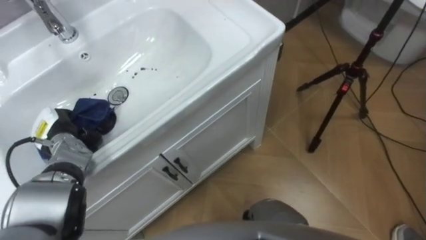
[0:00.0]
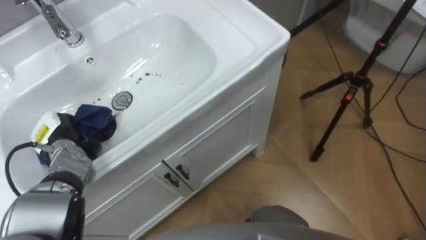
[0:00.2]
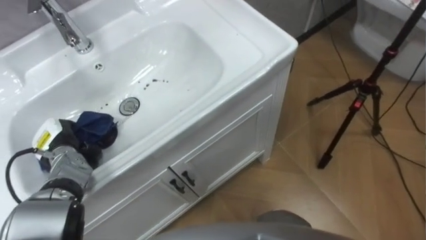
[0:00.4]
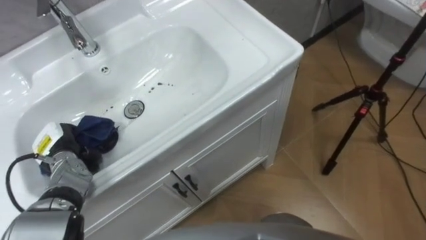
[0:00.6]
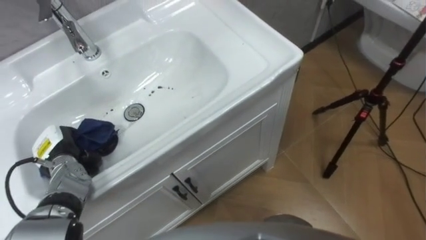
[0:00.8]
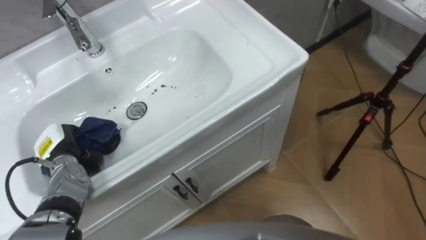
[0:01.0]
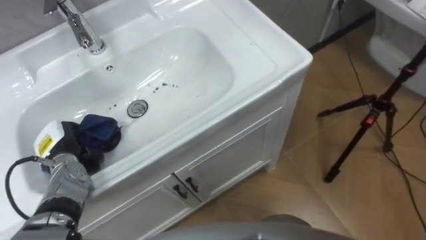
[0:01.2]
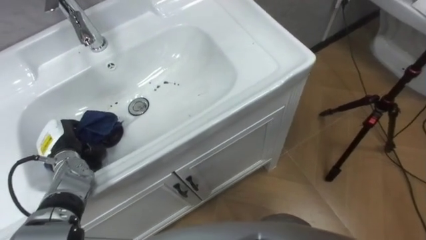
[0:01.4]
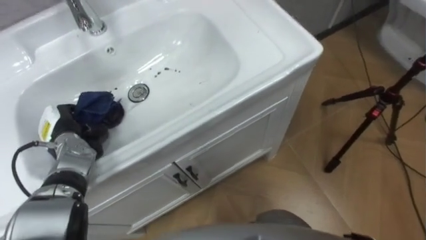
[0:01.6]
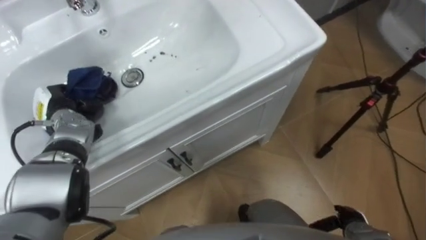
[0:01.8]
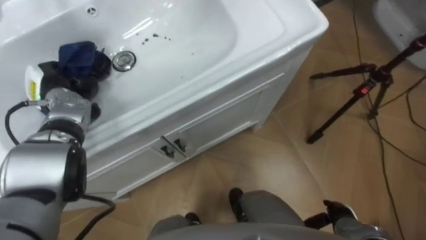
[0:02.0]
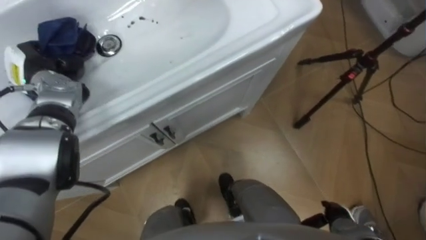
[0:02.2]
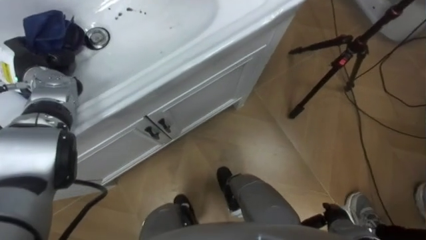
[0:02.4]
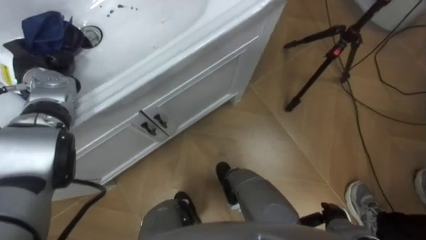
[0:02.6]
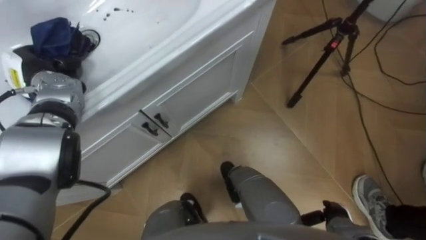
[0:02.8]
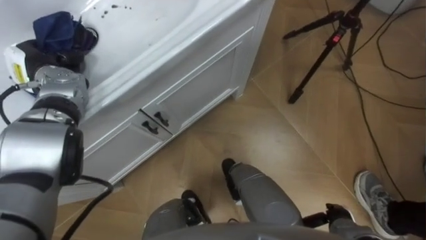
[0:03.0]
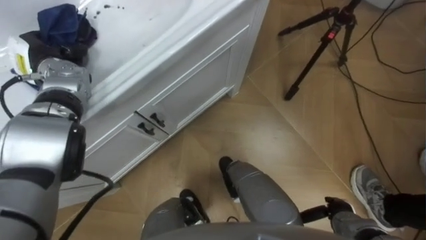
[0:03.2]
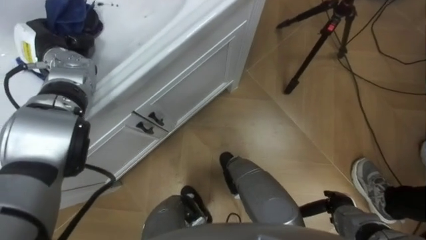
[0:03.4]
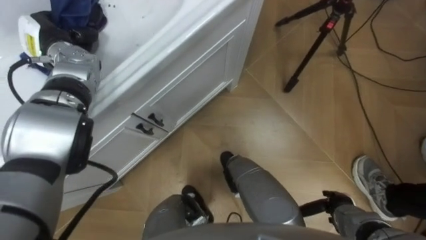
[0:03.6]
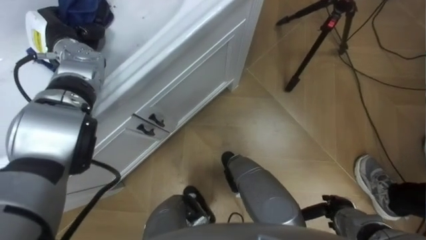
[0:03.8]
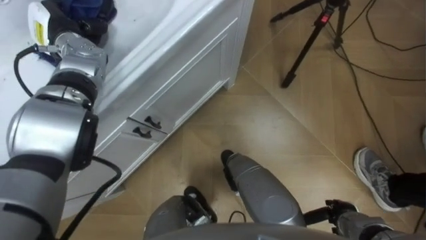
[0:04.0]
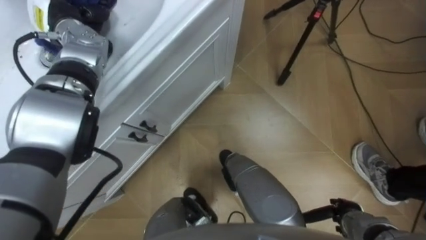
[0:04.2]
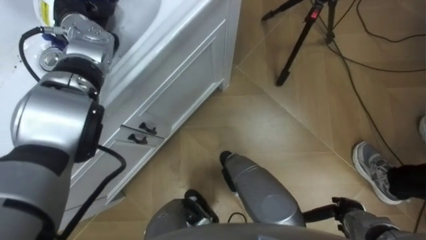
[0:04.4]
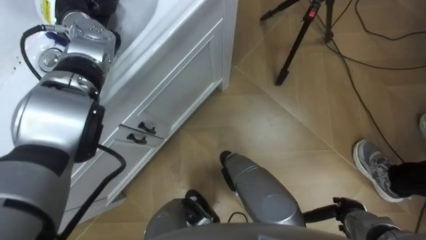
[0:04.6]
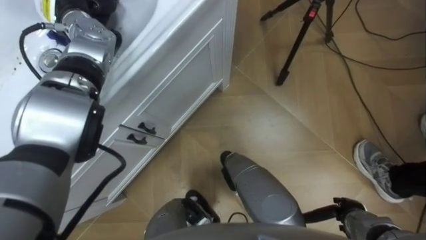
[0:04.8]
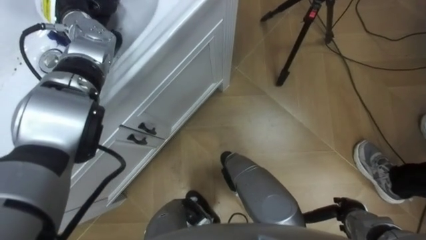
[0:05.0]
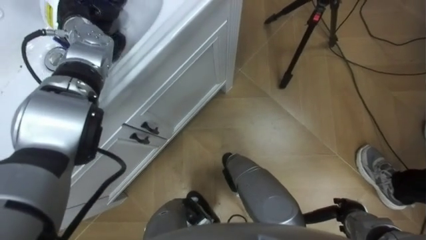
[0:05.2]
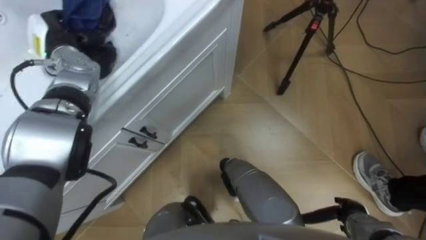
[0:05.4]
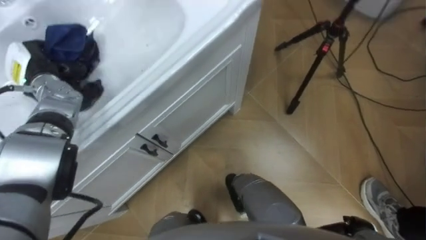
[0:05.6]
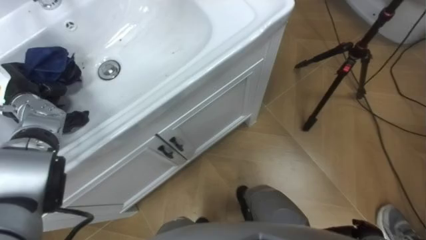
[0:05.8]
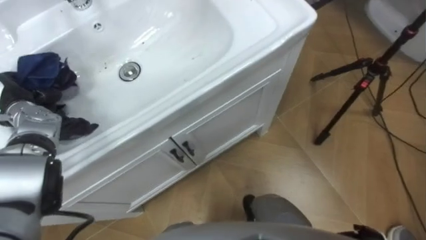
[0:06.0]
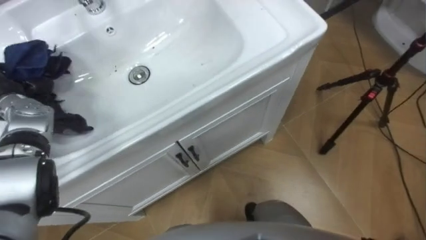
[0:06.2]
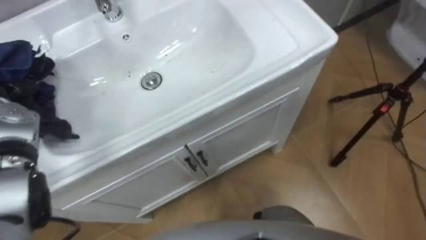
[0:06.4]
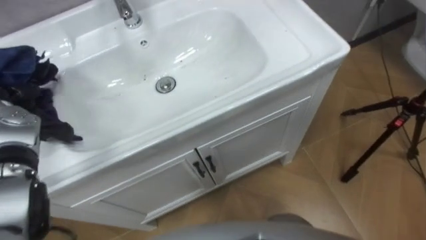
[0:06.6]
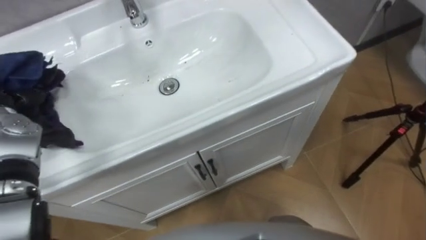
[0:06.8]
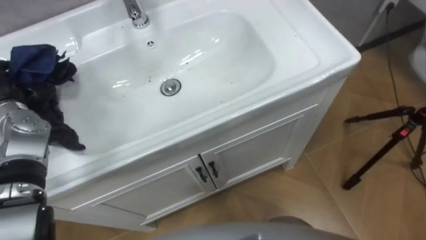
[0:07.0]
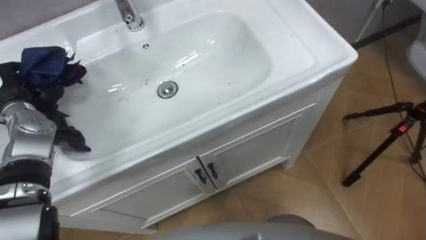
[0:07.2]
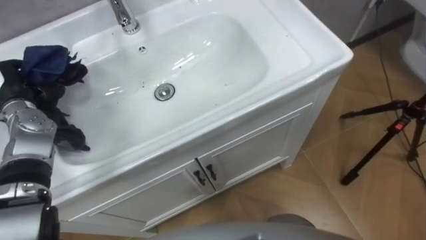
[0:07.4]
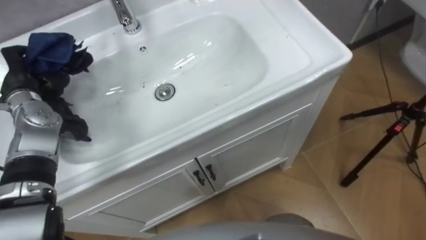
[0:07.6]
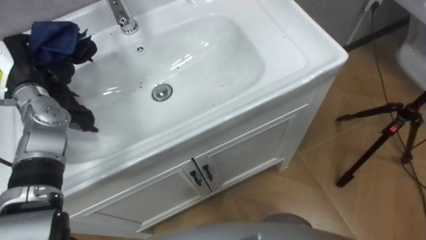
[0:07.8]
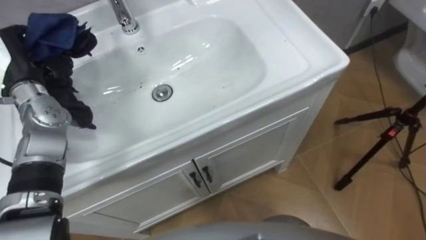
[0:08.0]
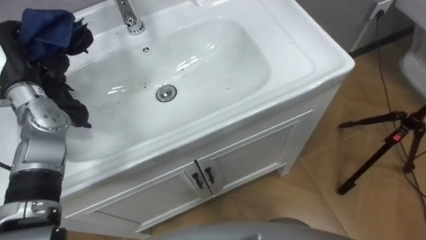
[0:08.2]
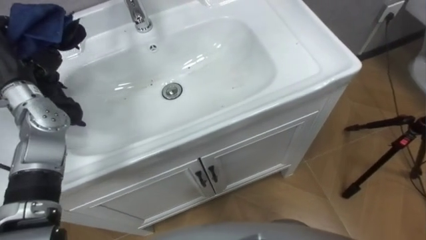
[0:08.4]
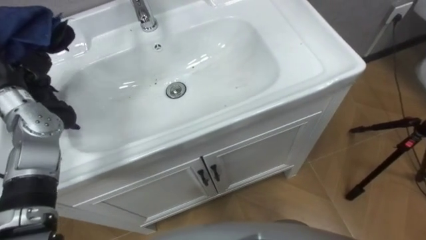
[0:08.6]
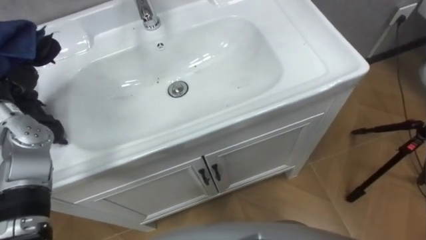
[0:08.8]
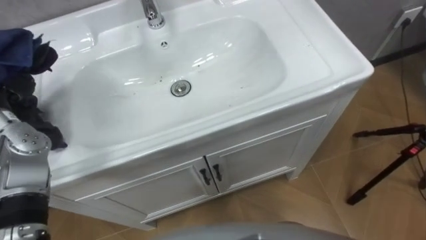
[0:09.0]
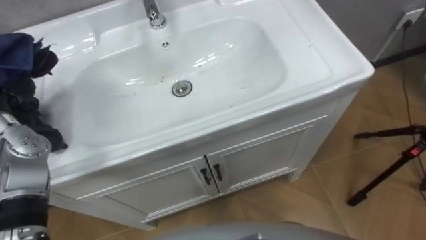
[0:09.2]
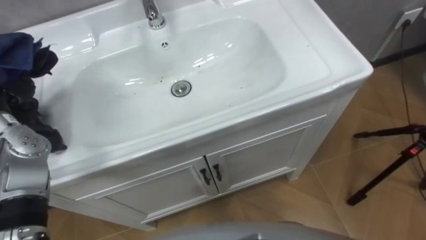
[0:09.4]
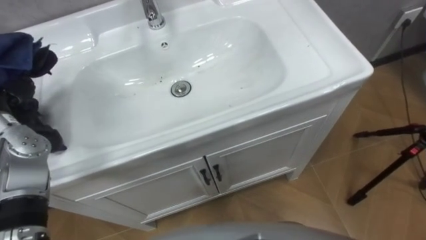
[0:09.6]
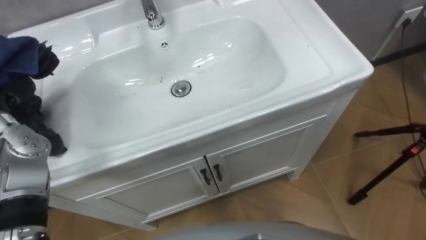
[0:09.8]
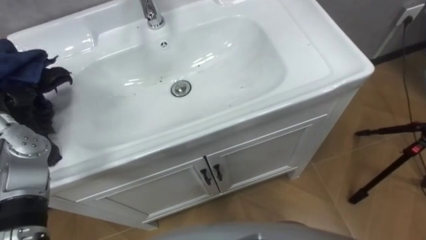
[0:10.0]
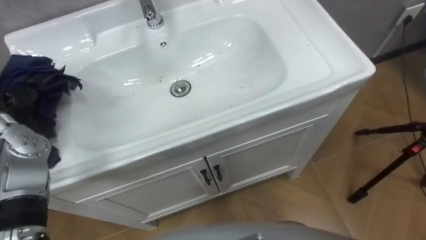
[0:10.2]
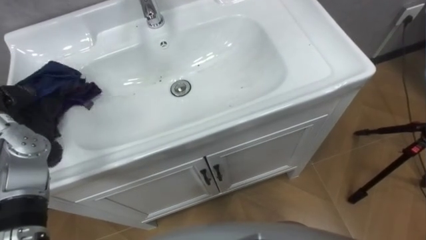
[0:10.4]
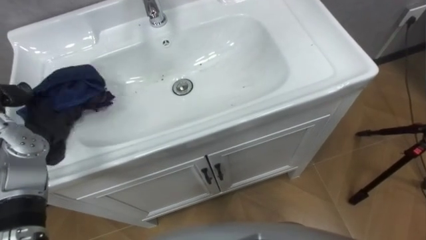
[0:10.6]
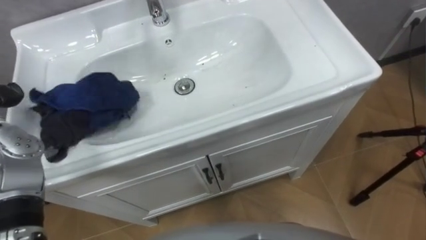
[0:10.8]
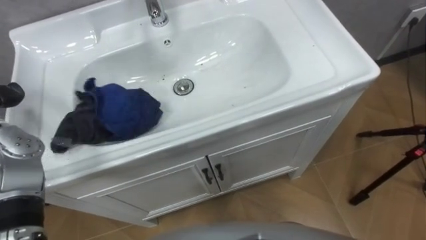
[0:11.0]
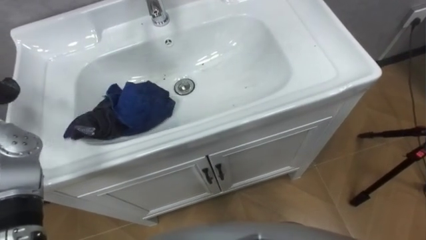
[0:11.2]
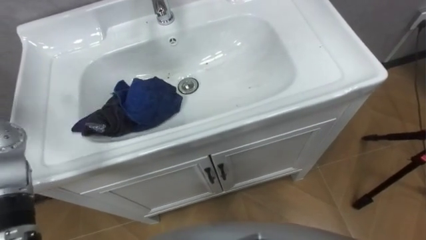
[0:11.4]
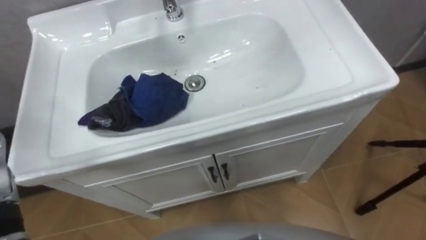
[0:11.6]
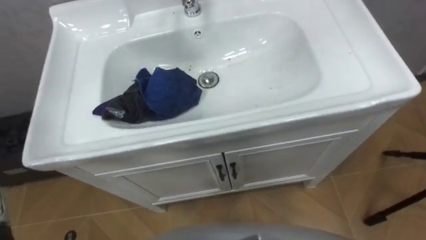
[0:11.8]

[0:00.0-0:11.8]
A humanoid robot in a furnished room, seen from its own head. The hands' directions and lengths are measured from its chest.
Task of the whole recording: Use the cloth on the right to wipe away the black stain in the sink.
0:01.4 to 0:03.0: The left hand is displaced forward and upward by about 15 cm.
0:03.0 to 0:04.4: The left hand moves to the right, upward and forward, approximately 15 cm.
0:04.4 to 0:06.0: The left hand heads backward, to the left and downward, covering approximately 20 cm.

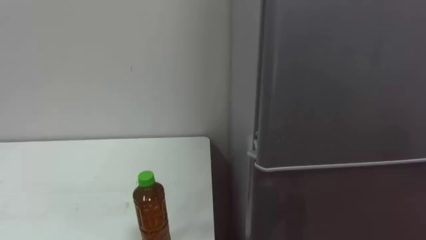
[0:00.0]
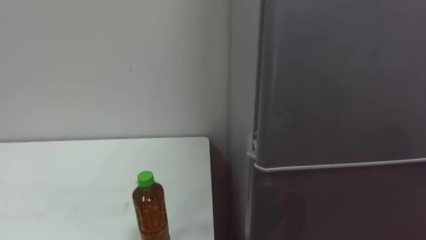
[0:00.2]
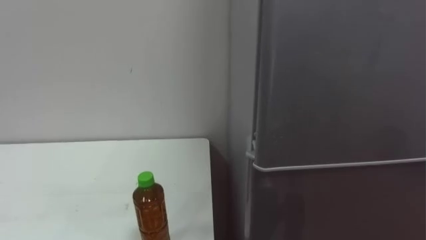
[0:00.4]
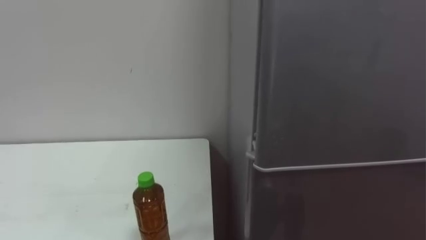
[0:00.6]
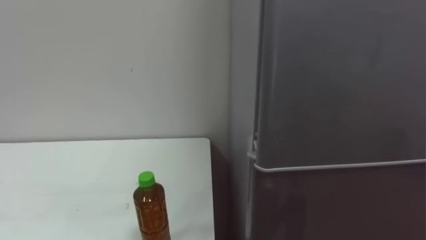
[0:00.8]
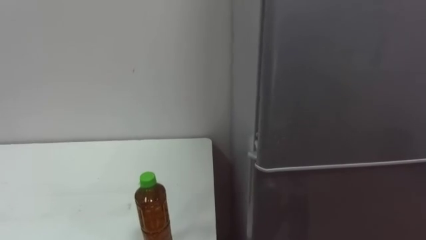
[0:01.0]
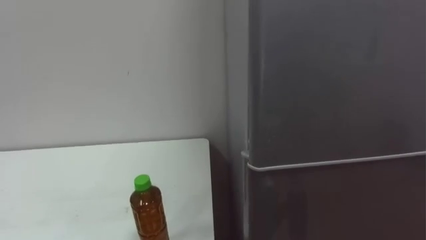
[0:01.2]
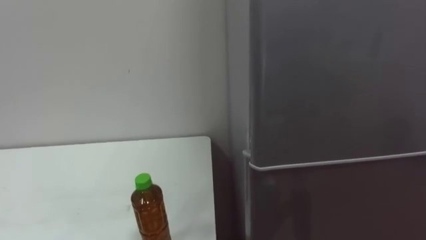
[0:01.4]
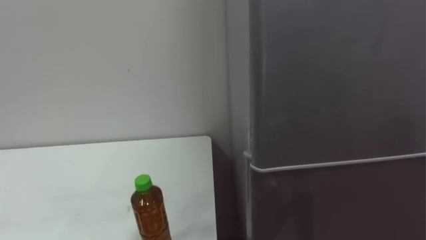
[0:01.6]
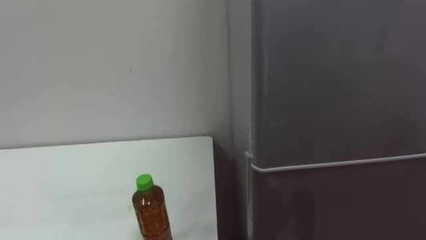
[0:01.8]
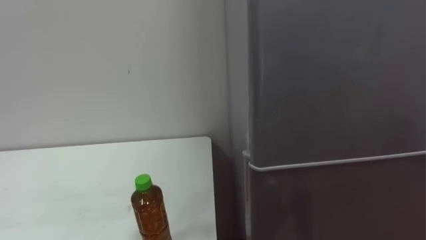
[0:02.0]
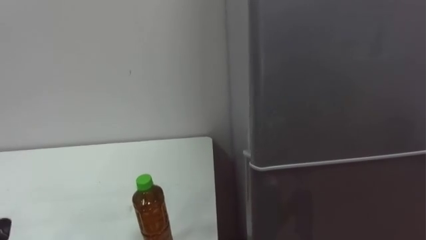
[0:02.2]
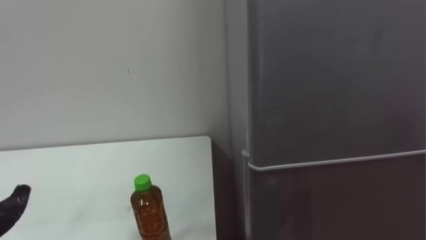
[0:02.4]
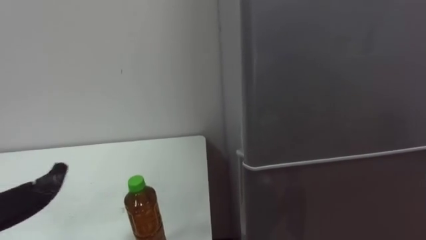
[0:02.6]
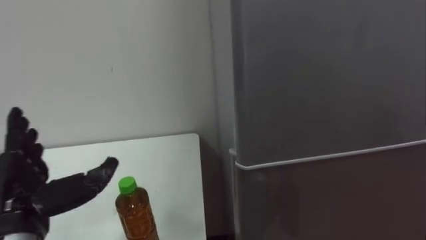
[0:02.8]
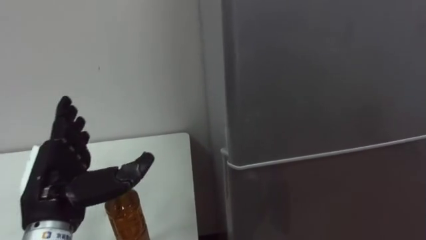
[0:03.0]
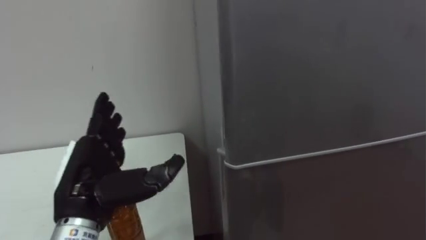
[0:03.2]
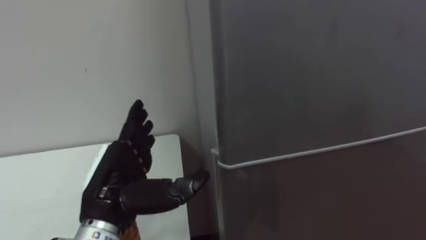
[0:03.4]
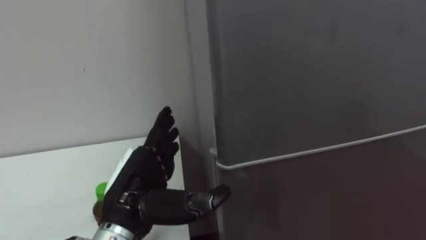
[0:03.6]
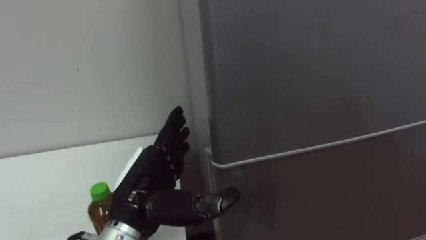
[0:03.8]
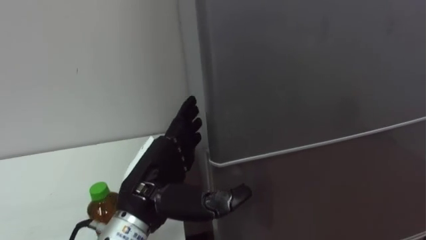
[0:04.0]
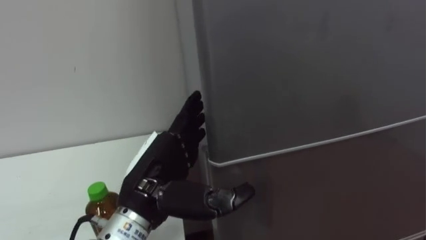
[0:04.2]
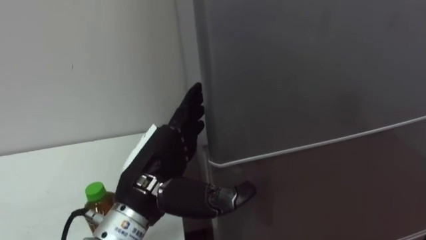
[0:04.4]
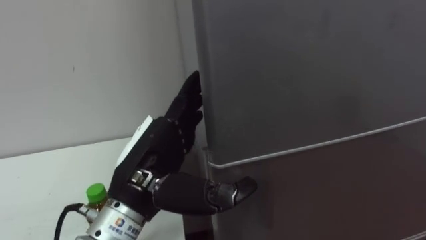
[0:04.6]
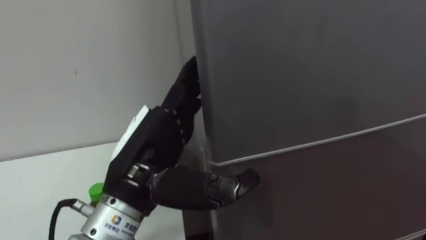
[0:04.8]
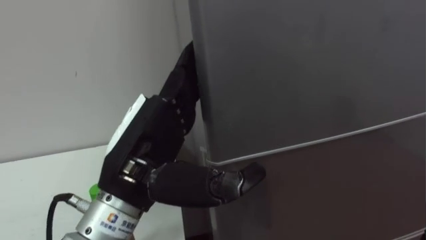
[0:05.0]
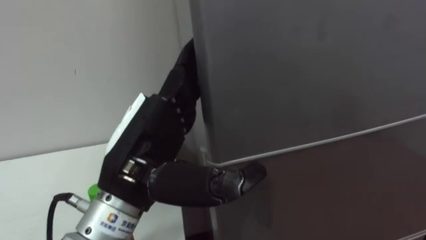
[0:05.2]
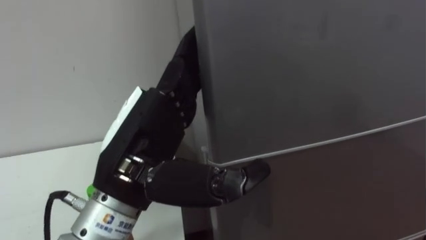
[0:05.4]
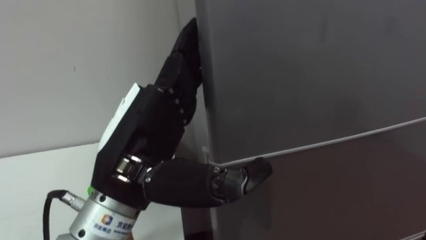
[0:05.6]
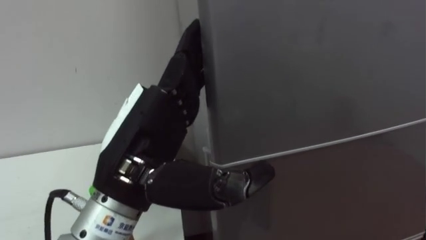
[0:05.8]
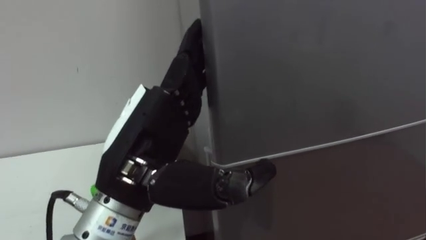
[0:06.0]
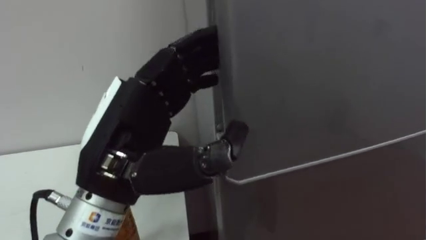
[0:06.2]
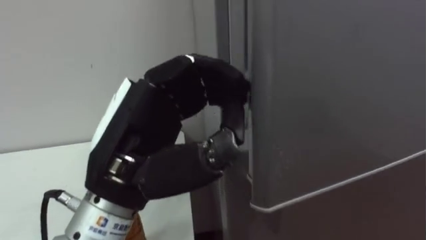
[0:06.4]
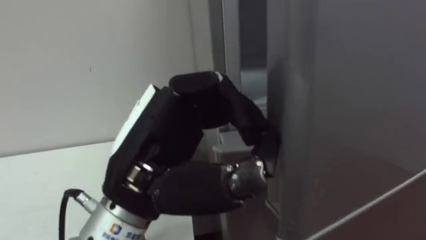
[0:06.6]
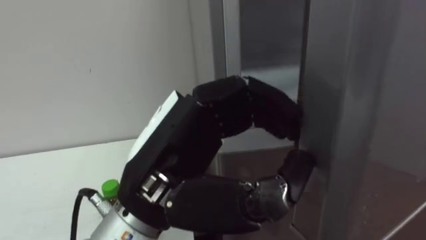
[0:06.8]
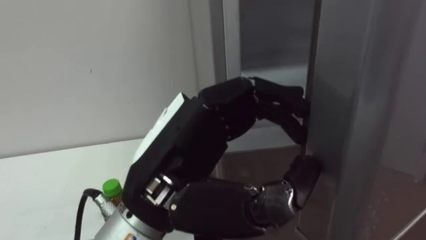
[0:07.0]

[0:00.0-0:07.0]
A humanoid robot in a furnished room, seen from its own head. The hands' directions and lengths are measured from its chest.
Task of the whole recording: Open the upper refrigerator door, put the drink from the table into the refrigerator, and then close the refrigerator door.
0:02.8 to 0:04.2: The left hand moves to the right, approximately 20 cm.
0:04.2 to 0:05.6: The left hand shifts roughly 10 cm upward.
0:05.6 to 0:07.0: The left hand closes, then reopens.
